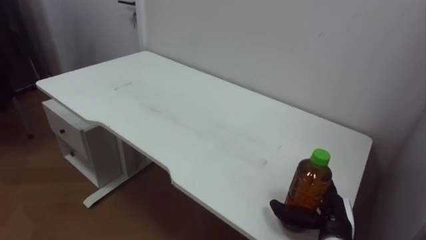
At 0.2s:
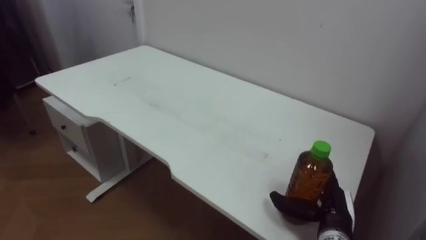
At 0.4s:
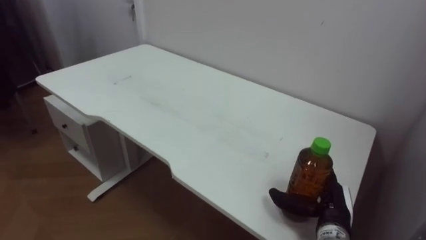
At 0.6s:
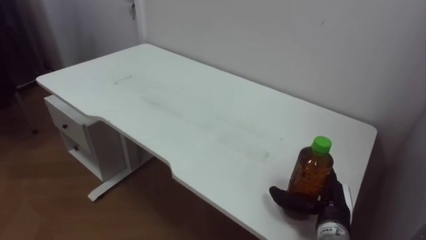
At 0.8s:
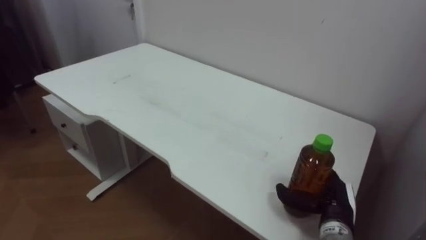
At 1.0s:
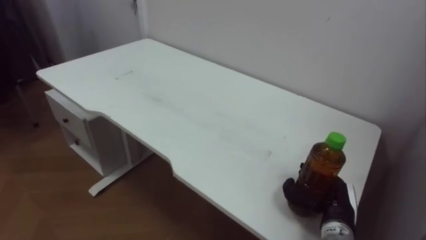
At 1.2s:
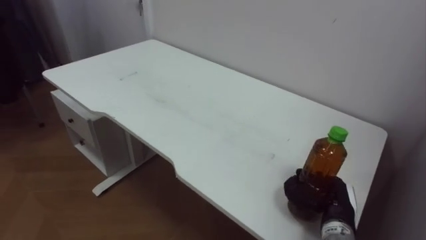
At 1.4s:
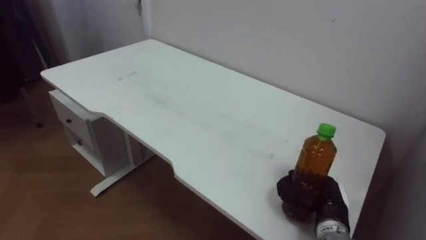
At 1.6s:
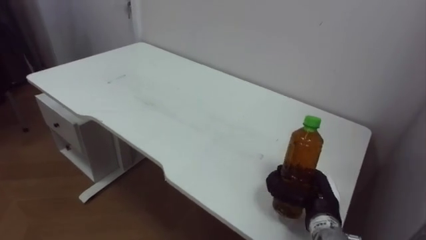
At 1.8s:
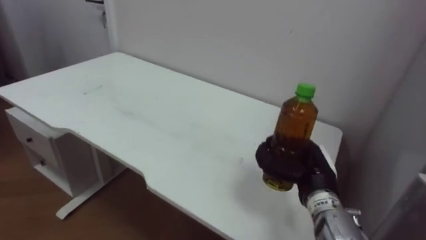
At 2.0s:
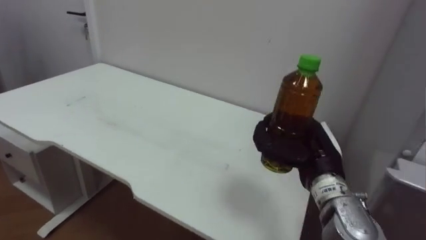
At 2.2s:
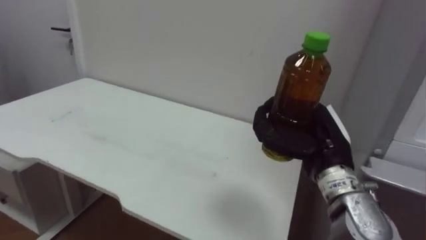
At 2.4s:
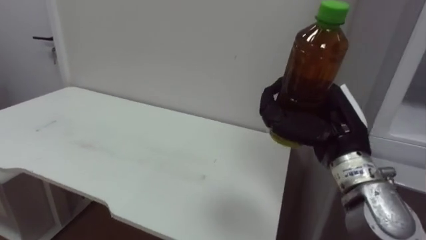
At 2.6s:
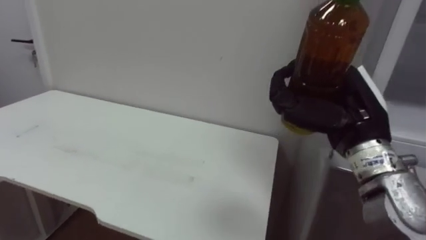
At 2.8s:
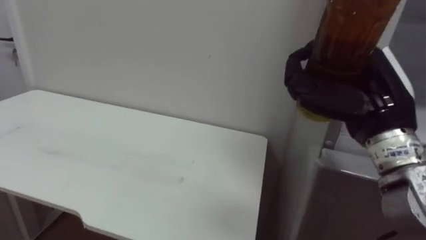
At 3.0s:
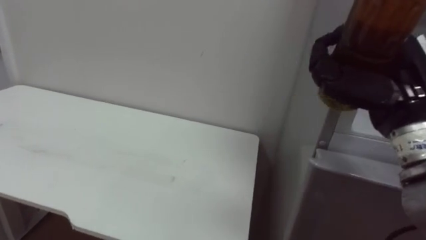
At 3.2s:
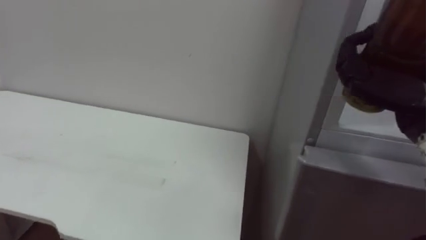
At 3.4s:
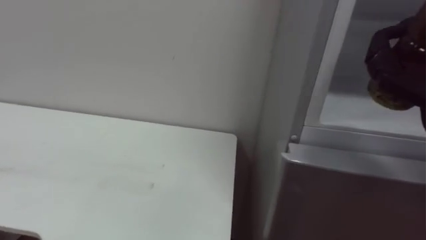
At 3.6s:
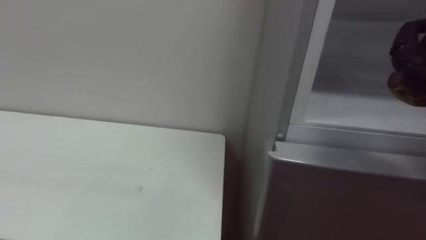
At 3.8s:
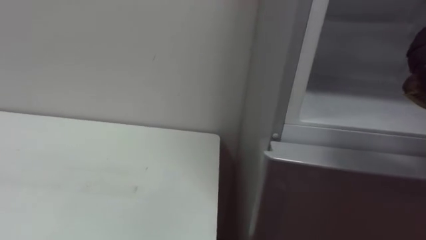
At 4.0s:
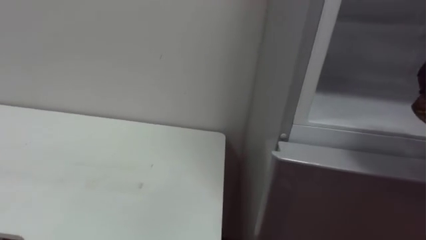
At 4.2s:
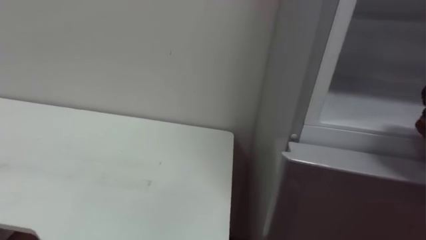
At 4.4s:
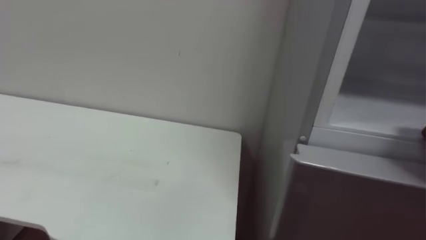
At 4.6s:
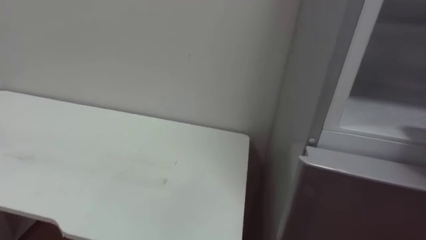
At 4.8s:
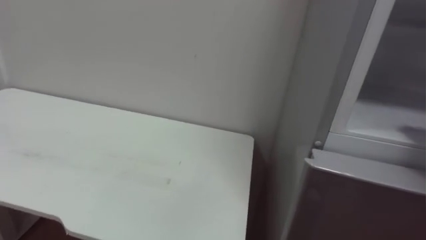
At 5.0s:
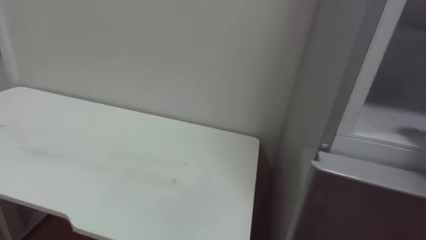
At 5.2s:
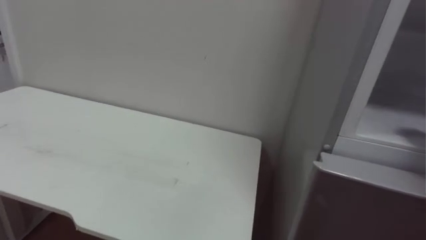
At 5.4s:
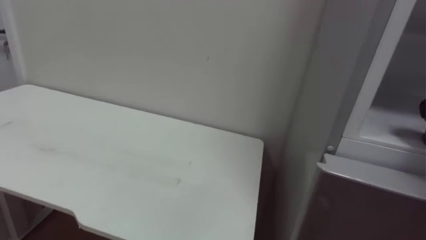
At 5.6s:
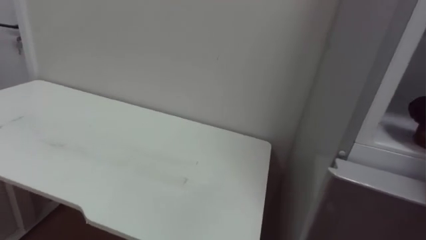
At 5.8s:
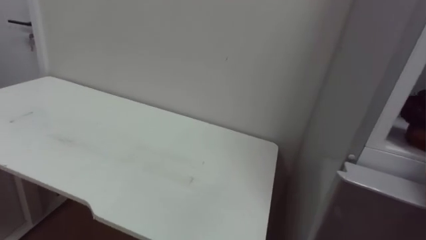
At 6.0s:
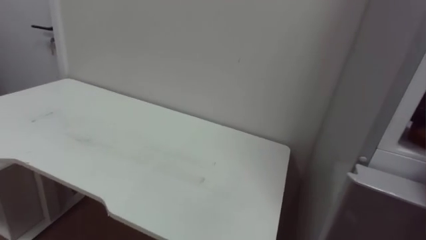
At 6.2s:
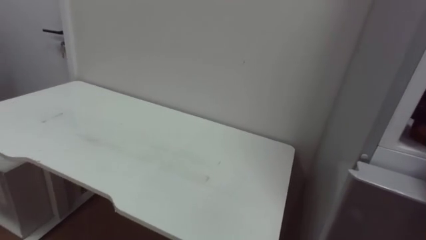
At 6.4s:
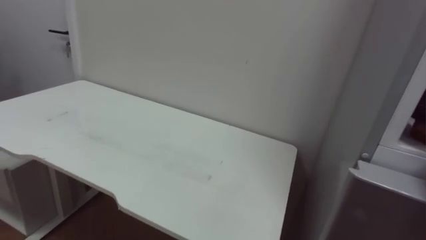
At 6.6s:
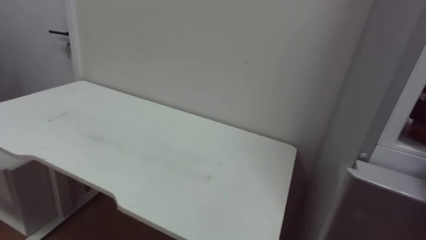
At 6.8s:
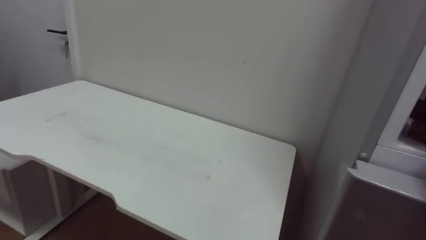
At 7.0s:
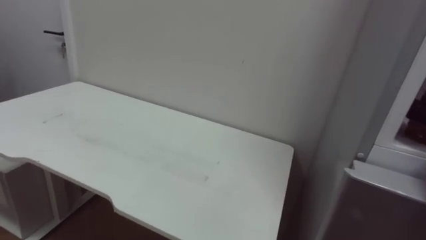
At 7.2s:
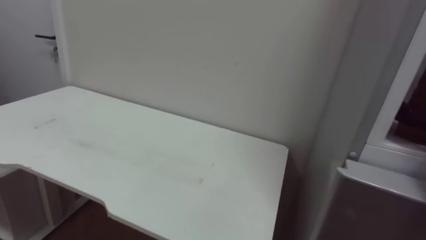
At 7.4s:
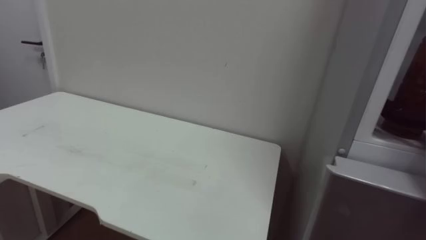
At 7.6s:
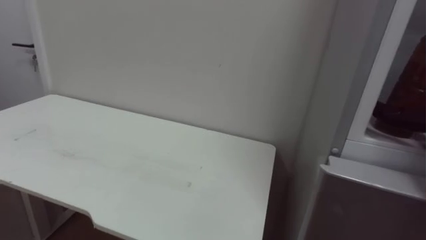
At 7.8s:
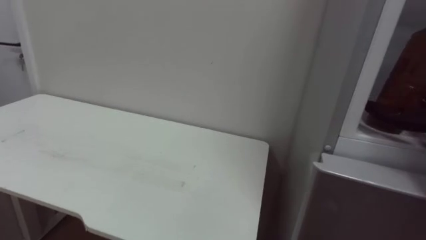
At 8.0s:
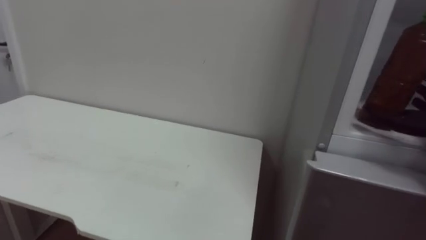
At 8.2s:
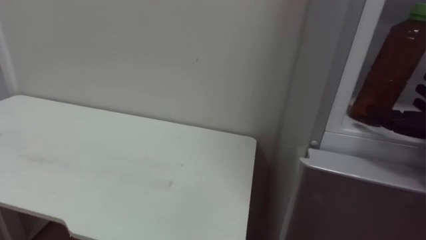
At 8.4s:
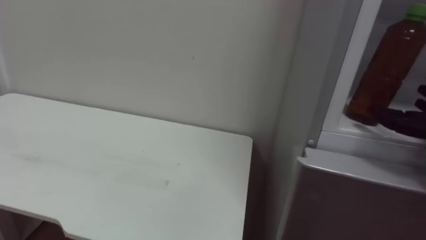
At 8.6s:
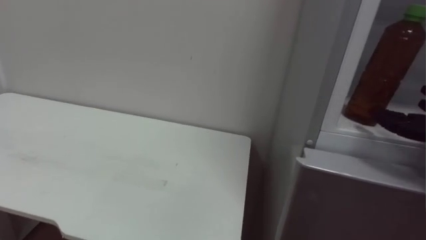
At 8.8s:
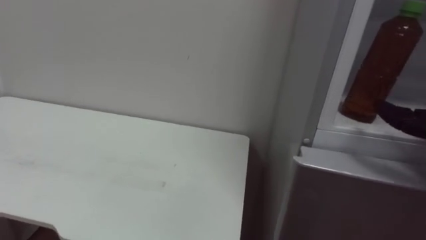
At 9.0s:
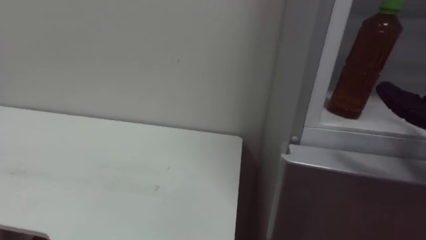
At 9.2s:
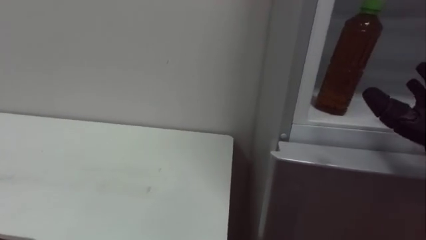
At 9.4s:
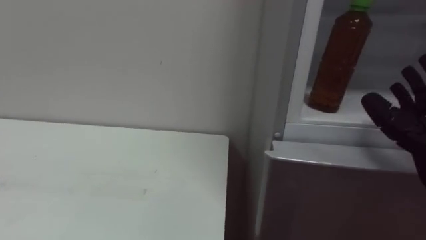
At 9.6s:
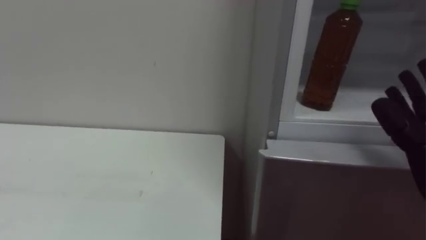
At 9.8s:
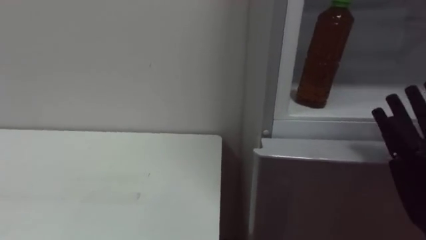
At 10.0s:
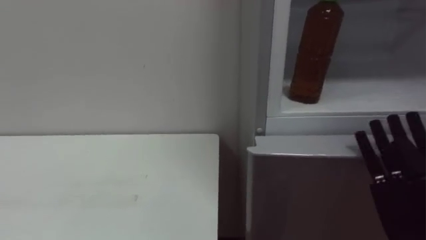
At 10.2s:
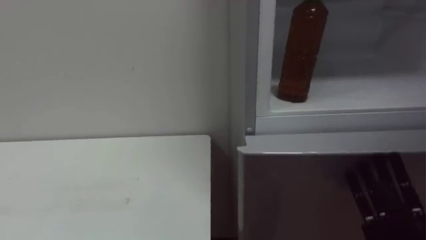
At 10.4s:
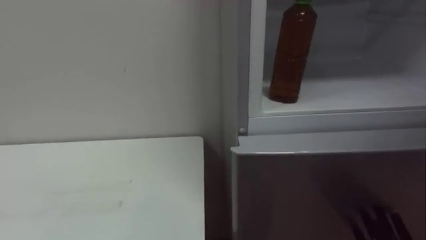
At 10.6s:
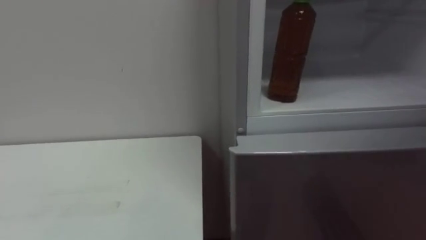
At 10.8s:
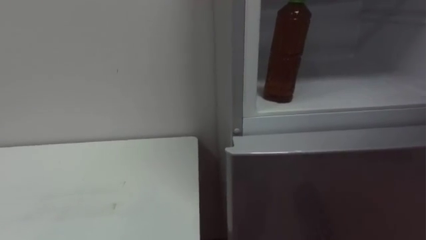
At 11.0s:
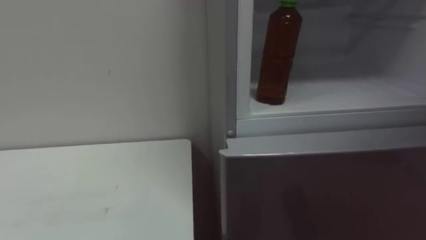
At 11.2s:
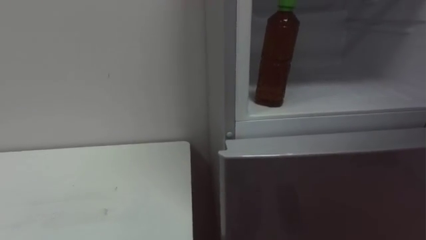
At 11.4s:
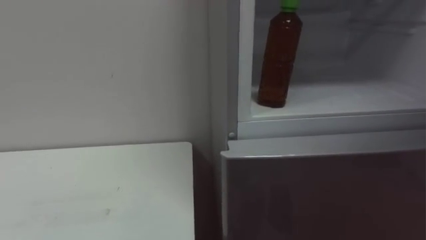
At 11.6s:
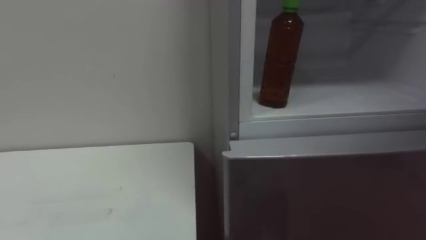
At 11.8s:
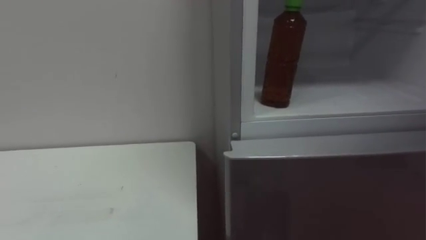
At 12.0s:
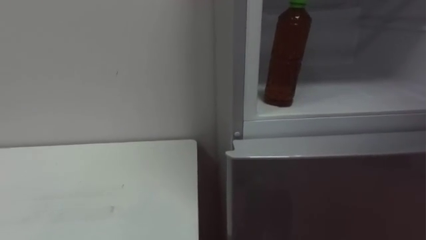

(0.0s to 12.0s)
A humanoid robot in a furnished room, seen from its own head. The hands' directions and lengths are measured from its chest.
Task of the whole recording: Open the upper refrigerator door, put the drink from the table into the refrigerator, and then close the refrigerator door.
0.0s - 1.6s: The right hand closes its fingers.
1.6s - 3.0s: The right hand travels upward by roughly 25 cm.
